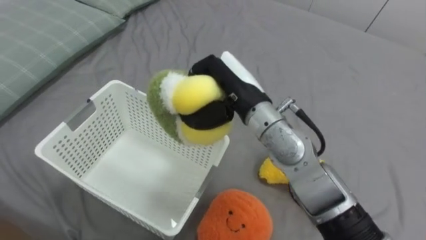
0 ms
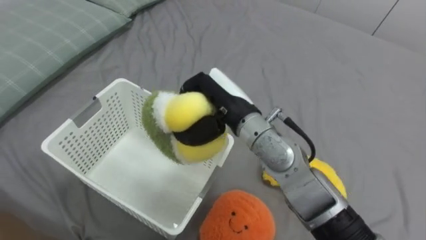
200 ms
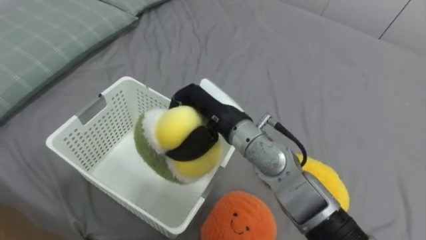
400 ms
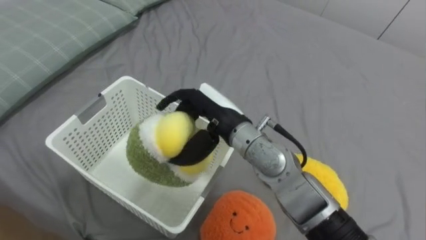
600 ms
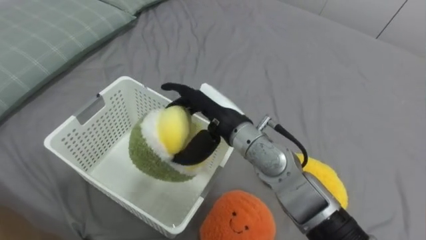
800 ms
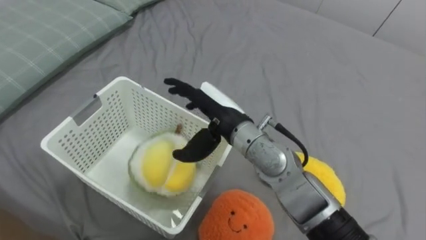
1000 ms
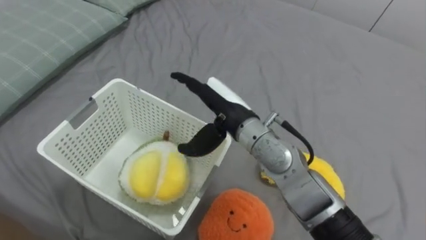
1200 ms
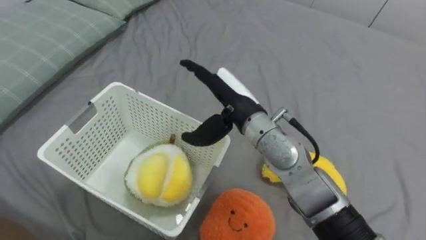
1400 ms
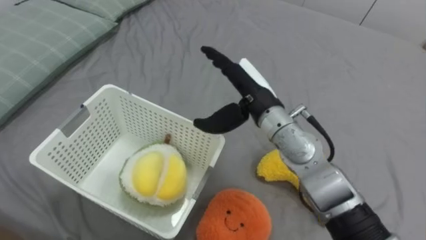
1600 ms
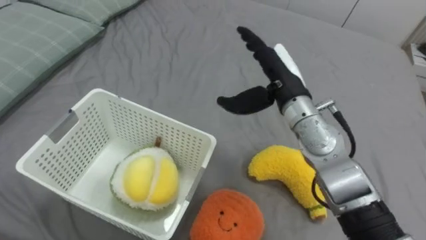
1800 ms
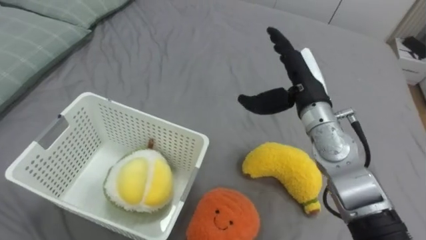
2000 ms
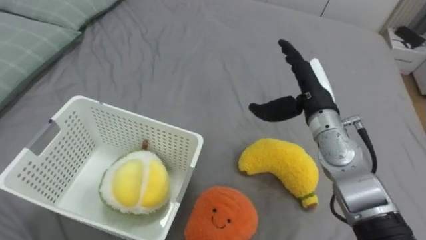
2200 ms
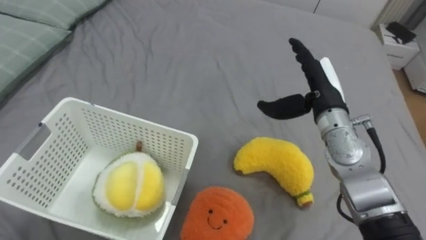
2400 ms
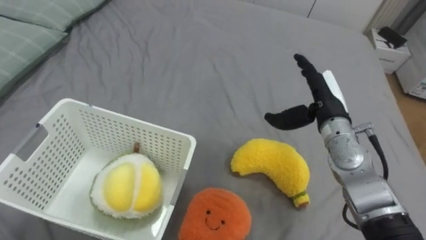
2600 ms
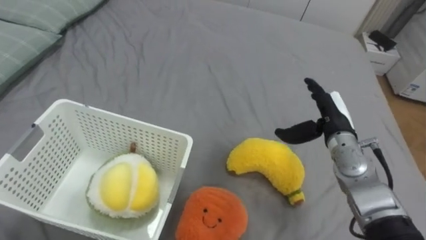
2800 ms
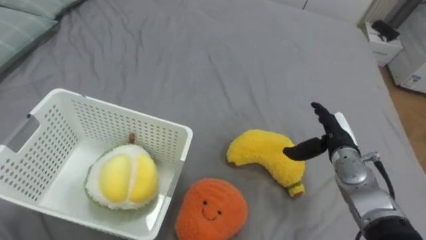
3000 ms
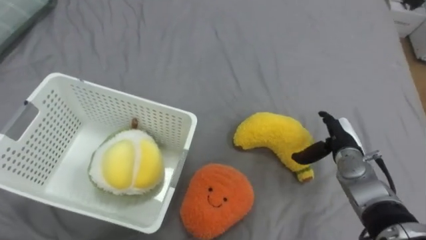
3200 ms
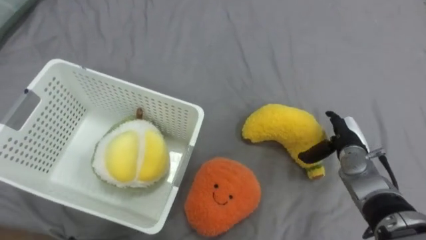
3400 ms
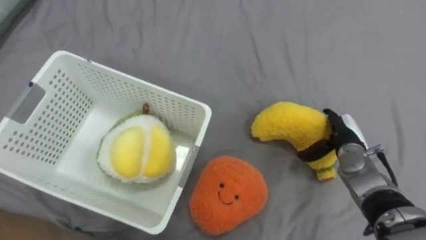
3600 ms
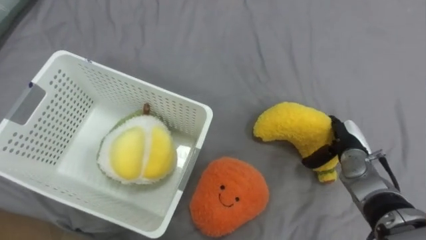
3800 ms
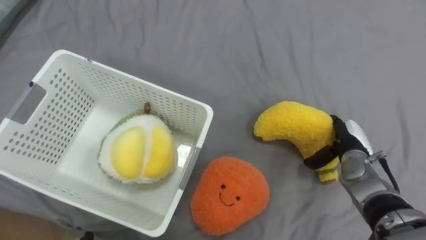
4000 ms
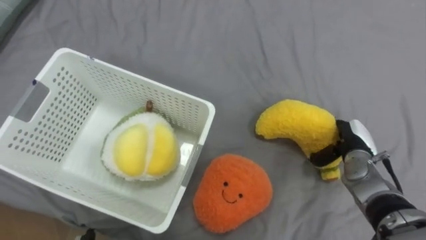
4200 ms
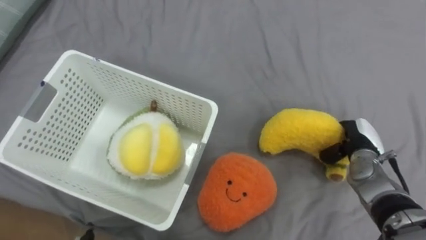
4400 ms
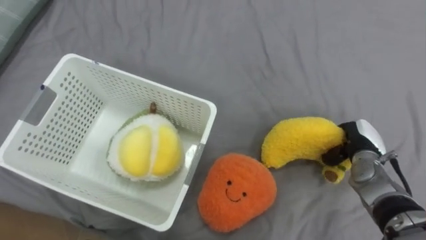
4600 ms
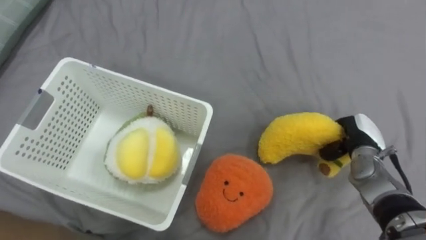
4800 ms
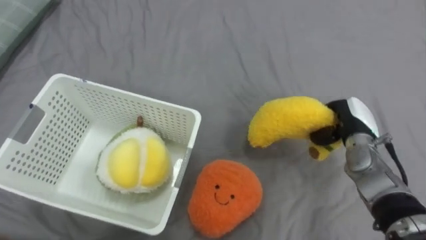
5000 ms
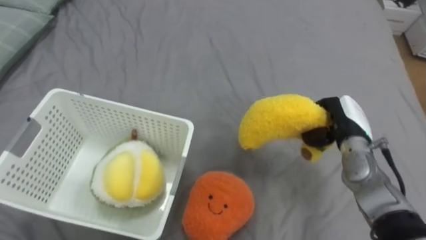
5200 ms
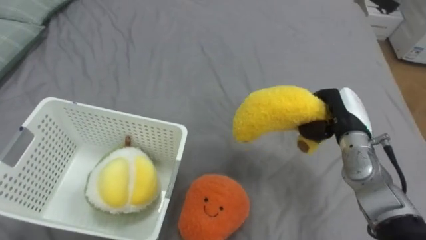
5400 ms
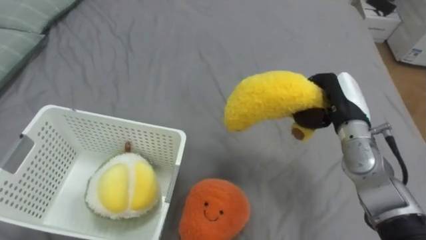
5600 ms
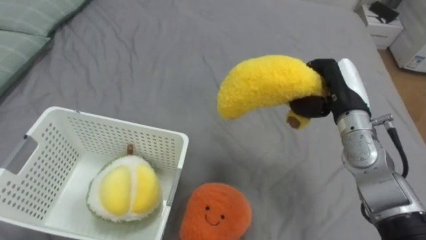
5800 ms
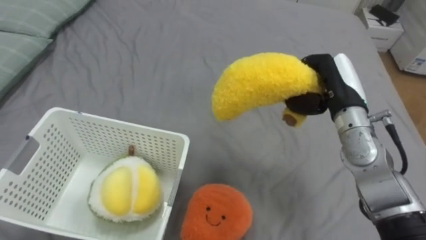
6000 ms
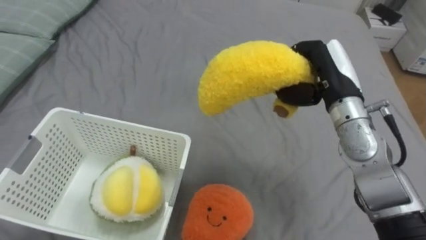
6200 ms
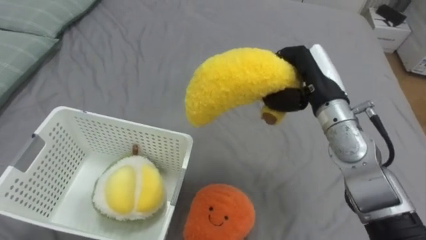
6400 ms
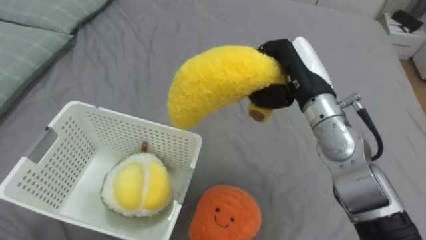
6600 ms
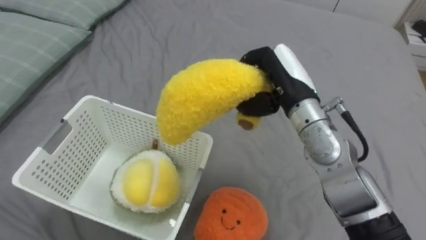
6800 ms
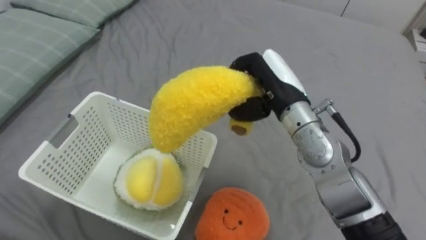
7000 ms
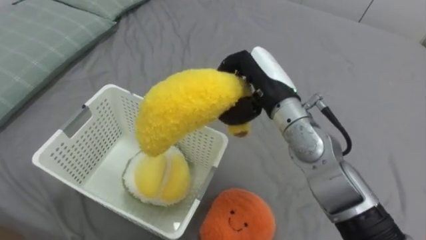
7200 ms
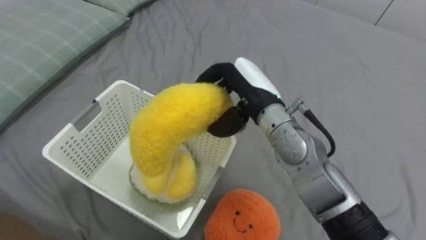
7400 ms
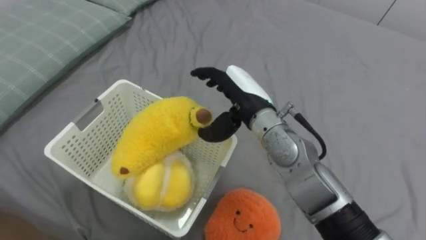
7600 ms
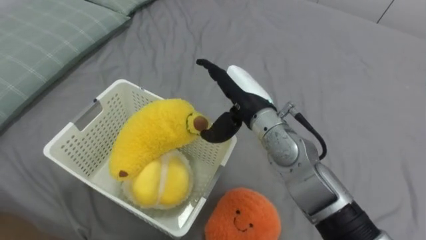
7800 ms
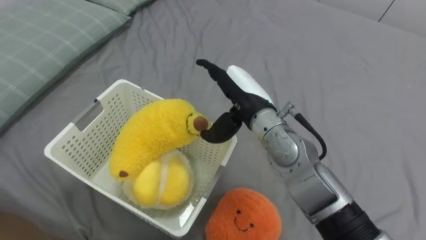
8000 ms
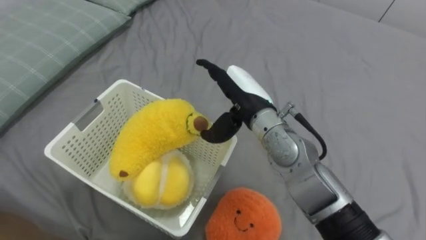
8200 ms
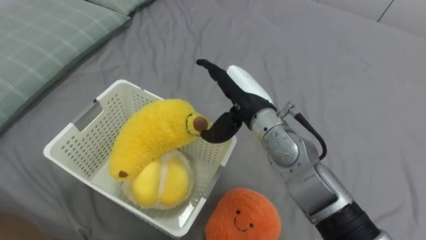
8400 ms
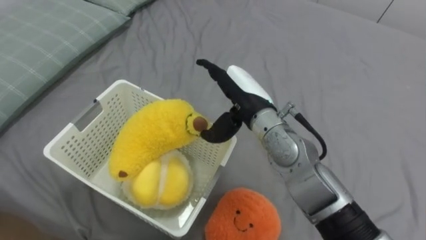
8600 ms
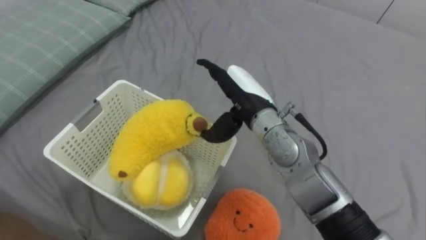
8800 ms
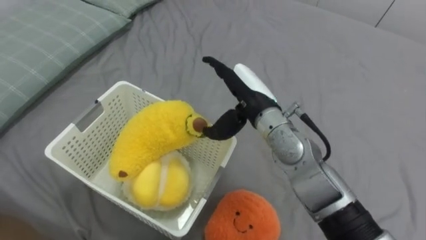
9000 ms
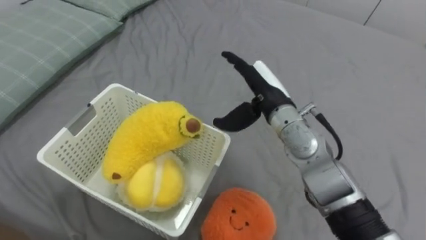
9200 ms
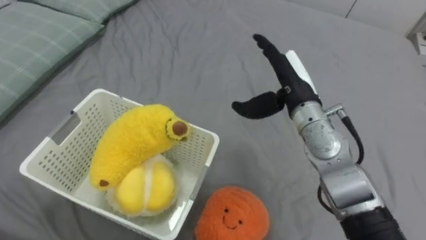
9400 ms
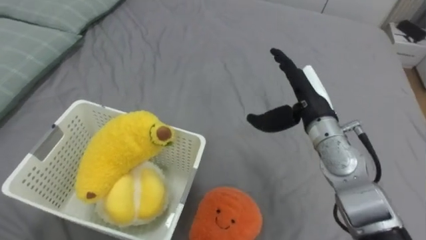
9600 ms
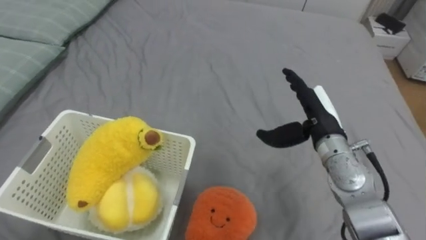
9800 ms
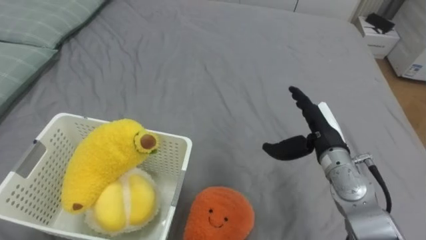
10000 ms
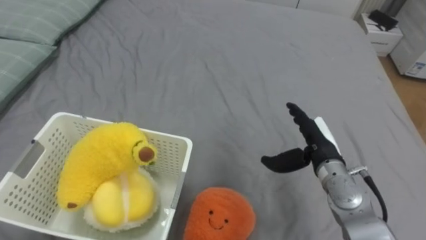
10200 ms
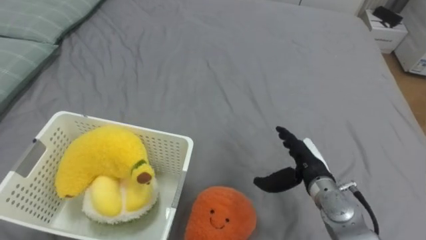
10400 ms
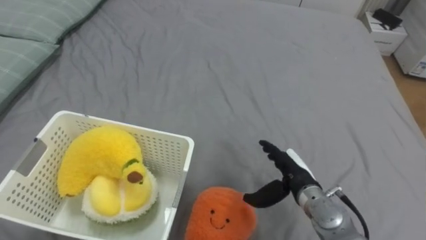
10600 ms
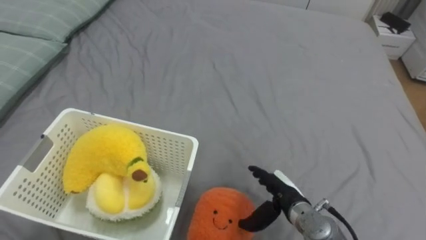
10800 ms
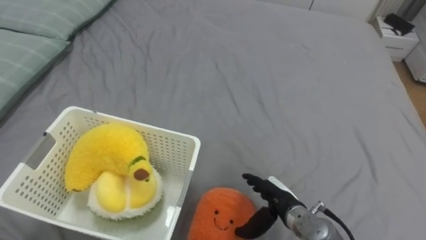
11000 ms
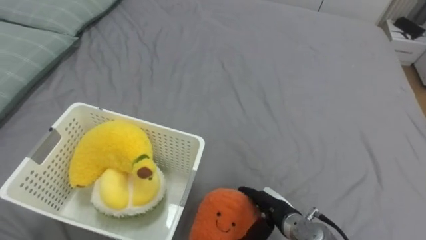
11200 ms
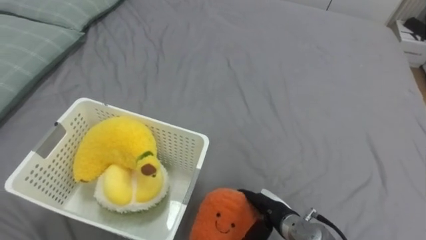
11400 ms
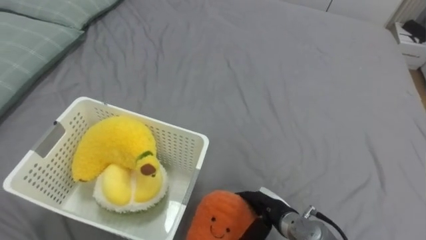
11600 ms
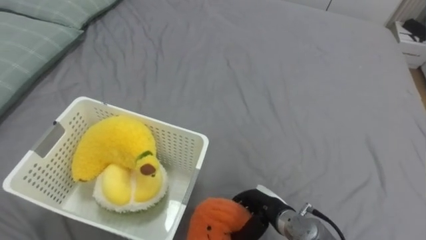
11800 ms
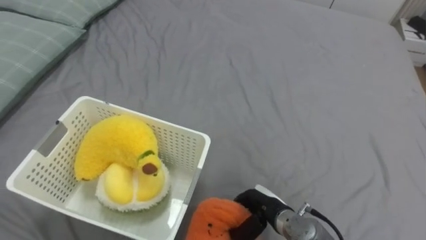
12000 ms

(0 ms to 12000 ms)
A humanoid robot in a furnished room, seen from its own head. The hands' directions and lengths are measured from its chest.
Task of the whole recording: Put the toys on the bed into the basket on the left.
0 ms - 1600 ms: The right hand opens.
1600 ms - 3000 ms: The right hand is displaced to the right and downward by about 25 cm.
3000 ms - 4400 ms: The right hand is displaced to the right by approximately 5 cm, and closes its fingers.
4400 ms - 6000 ms: The right hand moves upward and to the left, about 15 cm.
6000 ms - 7600 ms: The right hand heads to the left, covering about 15 cm, and opens up.
9000 ms - 10400 ms: The right hand moves downward, to the right and backward, some 20 cm.
10400 ms - 12000 ms: The right hand shifts some 15 cm to the left, downward and backward, and closes.

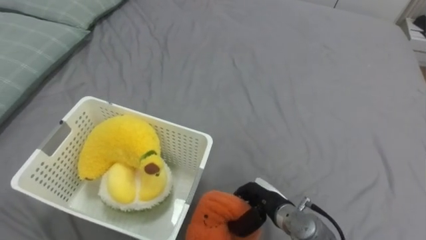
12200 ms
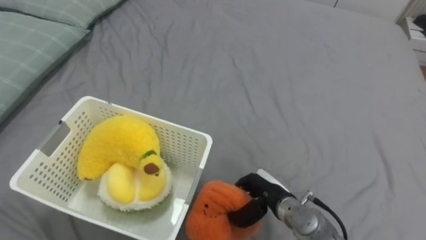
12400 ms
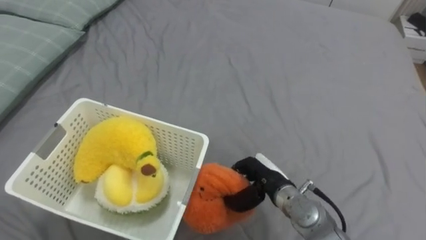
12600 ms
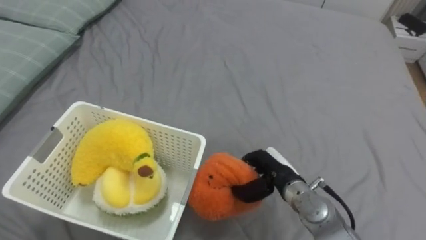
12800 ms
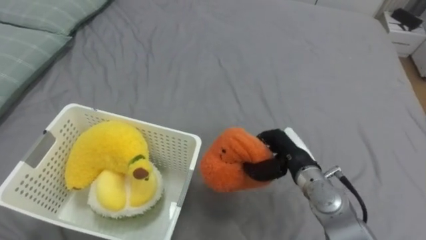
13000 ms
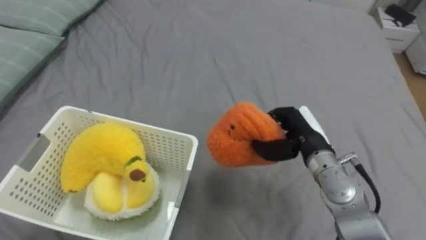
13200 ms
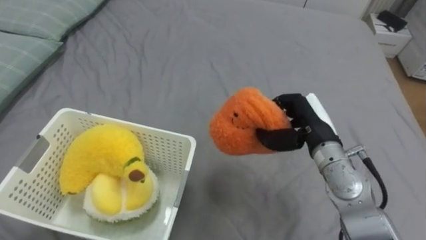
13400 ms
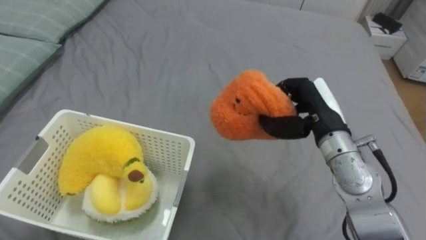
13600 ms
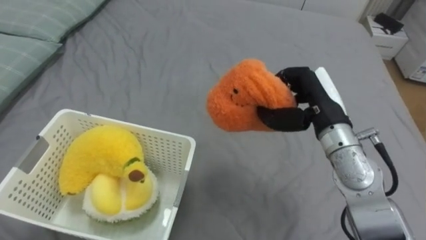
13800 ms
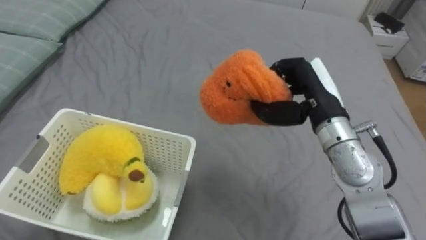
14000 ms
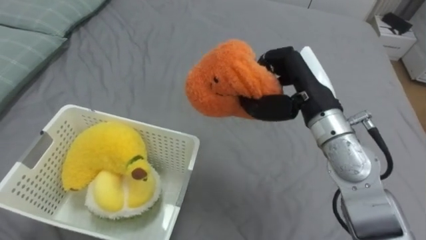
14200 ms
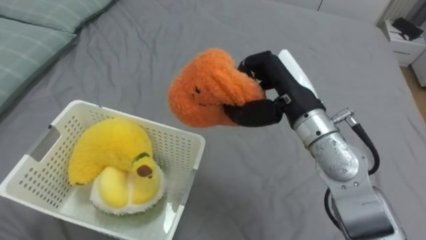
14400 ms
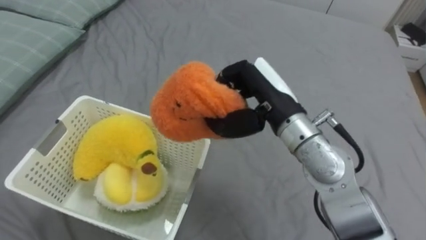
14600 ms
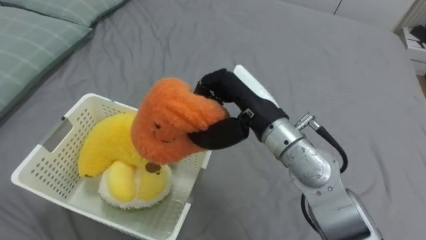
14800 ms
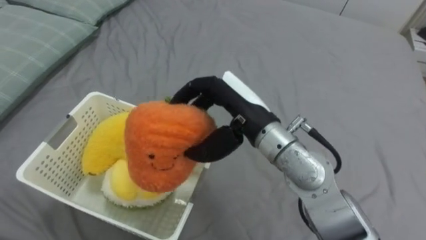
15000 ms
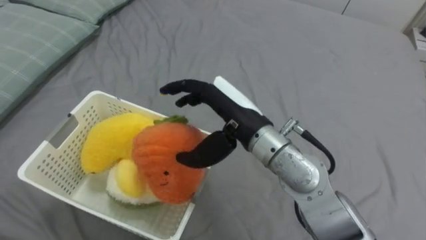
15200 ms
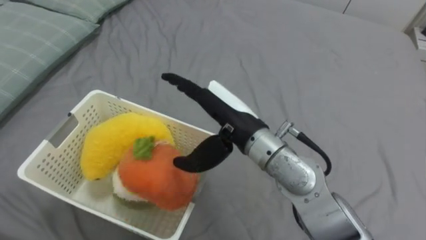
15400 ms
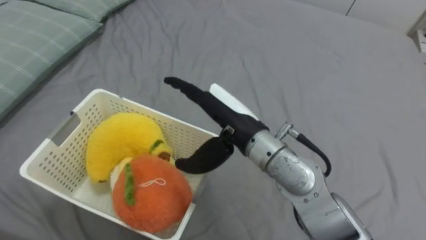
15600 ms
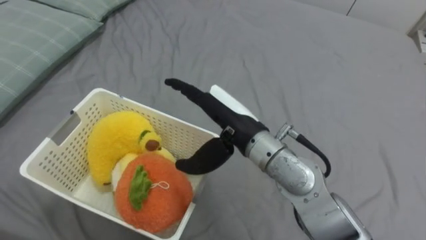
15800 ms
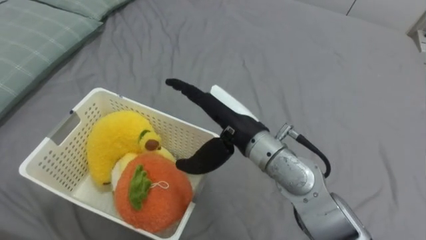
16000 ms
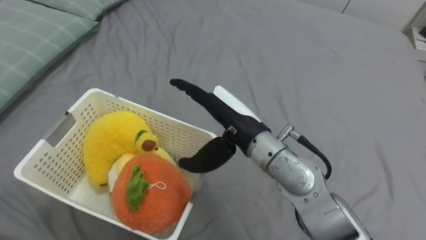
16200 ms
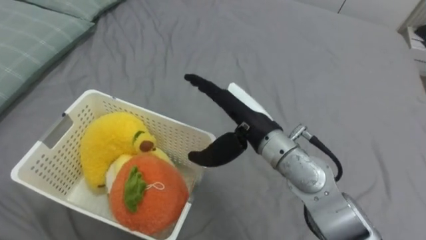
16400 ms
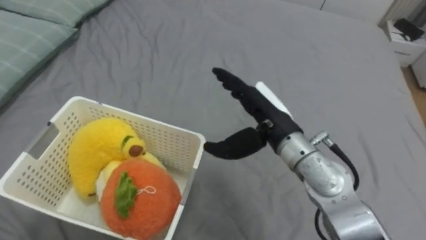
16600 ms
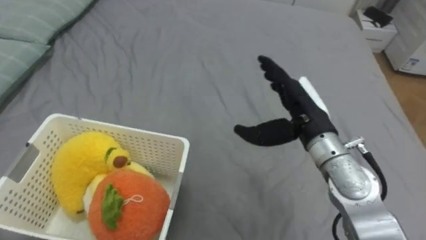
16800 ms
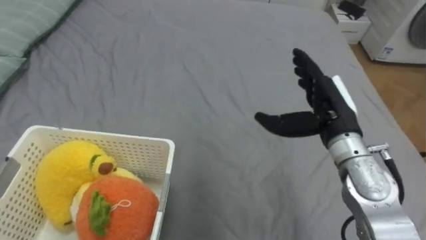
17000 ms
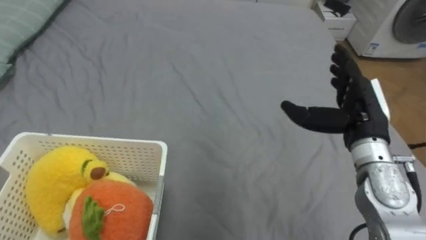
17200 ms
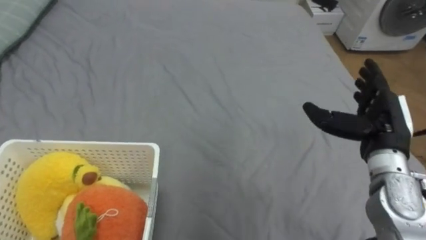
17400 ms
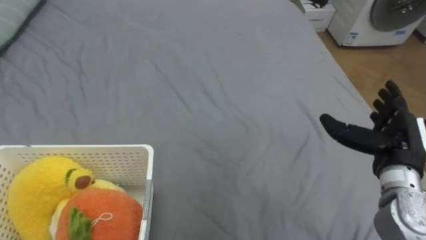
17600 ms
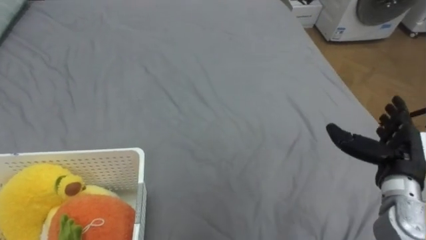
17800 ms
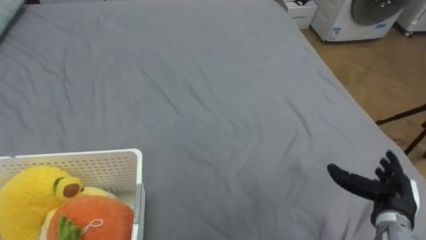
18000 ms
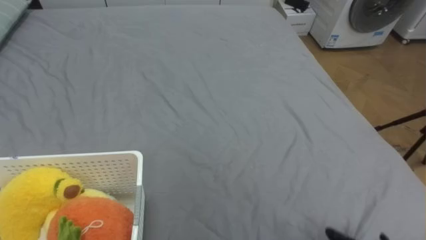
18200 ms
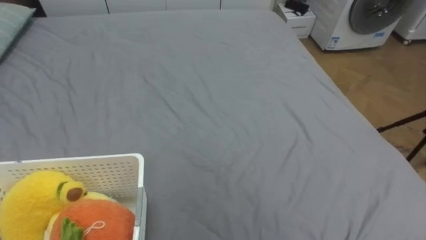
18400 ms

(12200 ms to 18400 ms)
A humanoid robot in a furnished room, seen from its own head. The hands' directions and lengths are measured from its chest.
Task of the whole recording: Put the toys on the bed into the basket on the left.
12200 ms - 13800 ms: The right hand shifts some 25 cm upward and forward.
13800 ms - 15400 ms: The right hand moves to the left, roughly 15 cm, and opens its fingers.
15400 ms - 16800 ms: The right hand heads to the right, covering some 10 cm.
